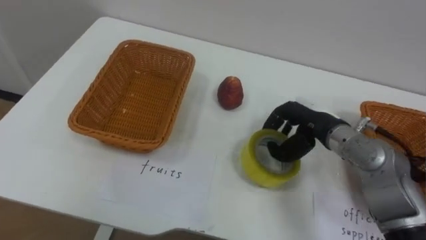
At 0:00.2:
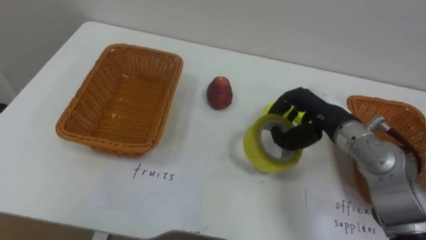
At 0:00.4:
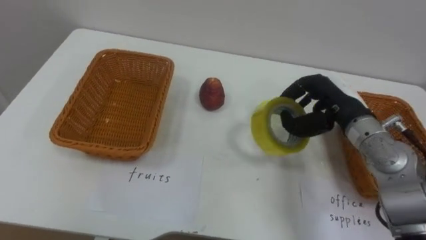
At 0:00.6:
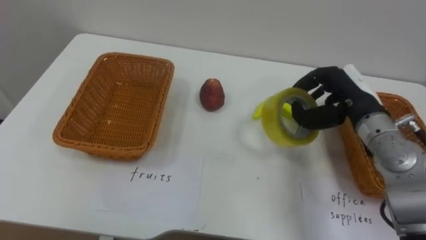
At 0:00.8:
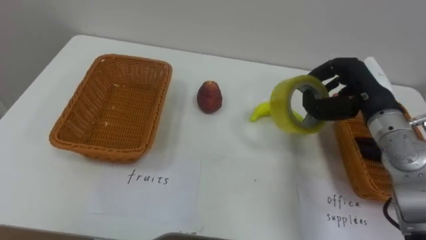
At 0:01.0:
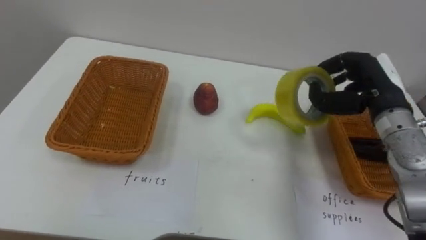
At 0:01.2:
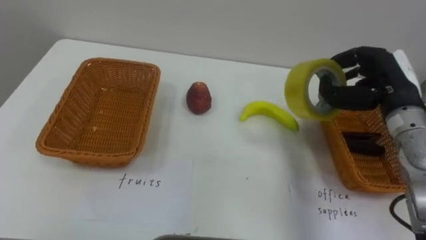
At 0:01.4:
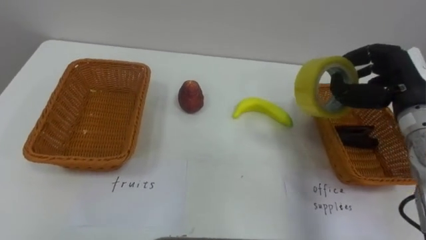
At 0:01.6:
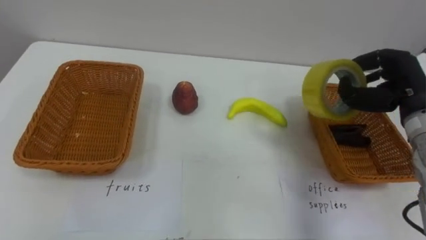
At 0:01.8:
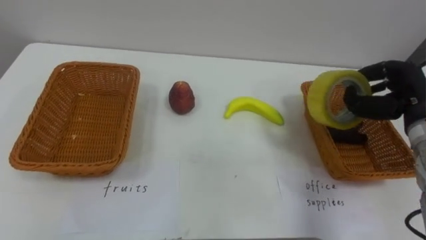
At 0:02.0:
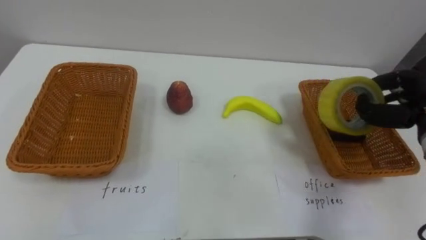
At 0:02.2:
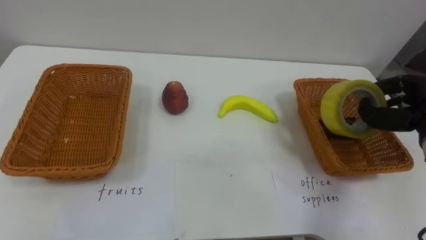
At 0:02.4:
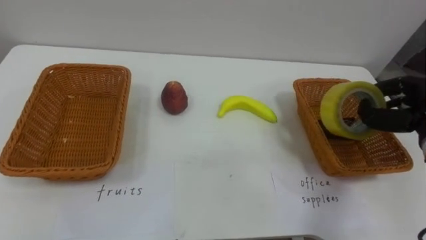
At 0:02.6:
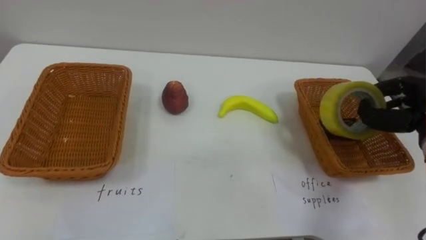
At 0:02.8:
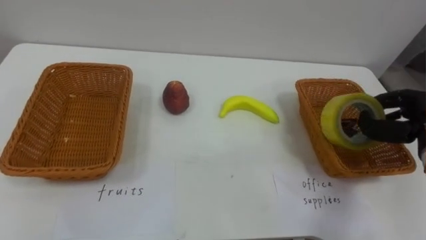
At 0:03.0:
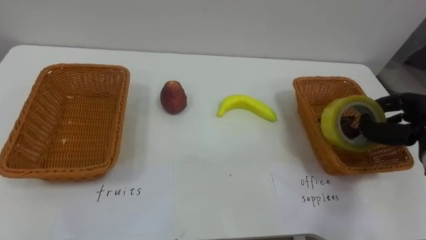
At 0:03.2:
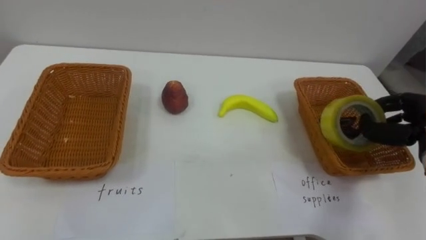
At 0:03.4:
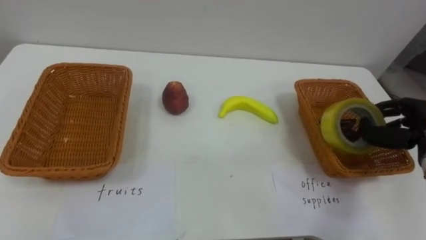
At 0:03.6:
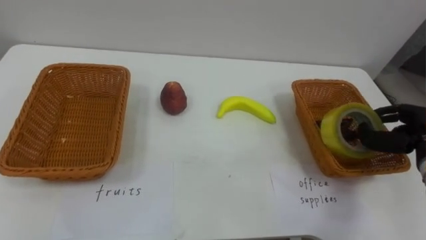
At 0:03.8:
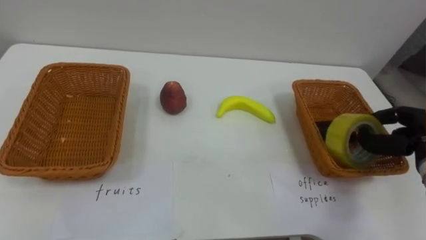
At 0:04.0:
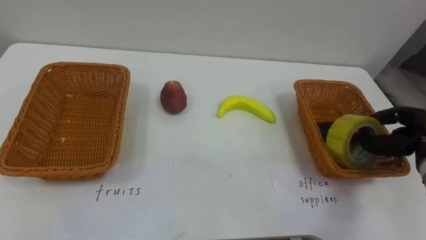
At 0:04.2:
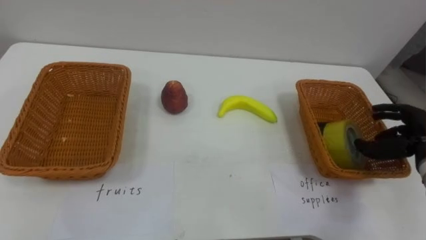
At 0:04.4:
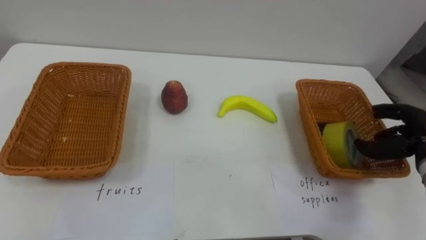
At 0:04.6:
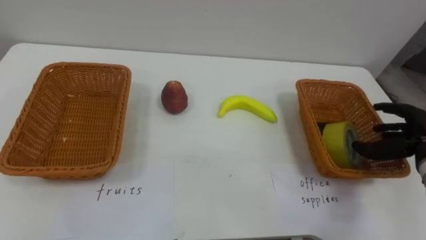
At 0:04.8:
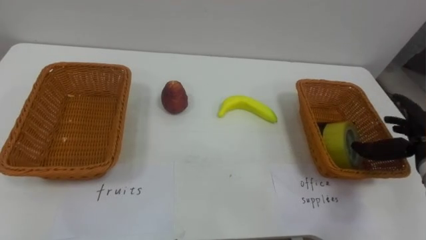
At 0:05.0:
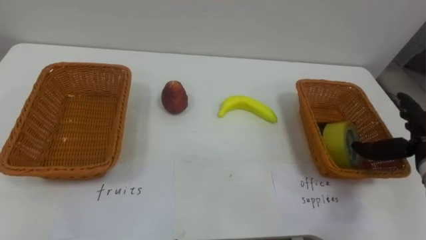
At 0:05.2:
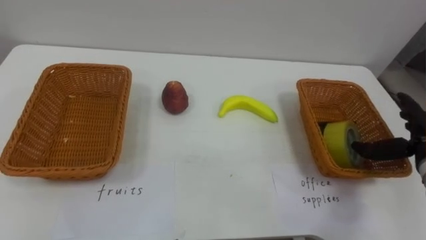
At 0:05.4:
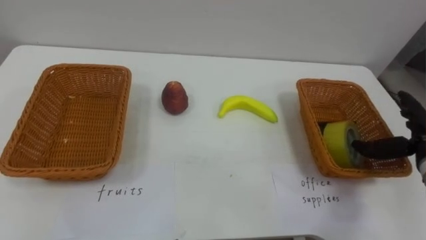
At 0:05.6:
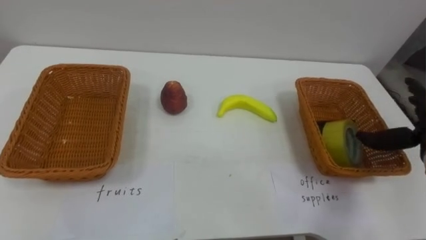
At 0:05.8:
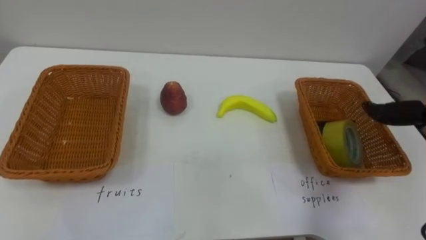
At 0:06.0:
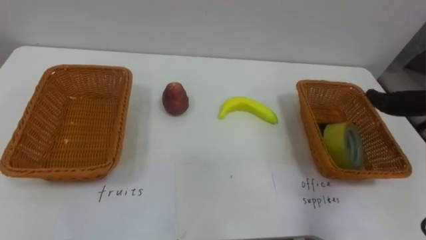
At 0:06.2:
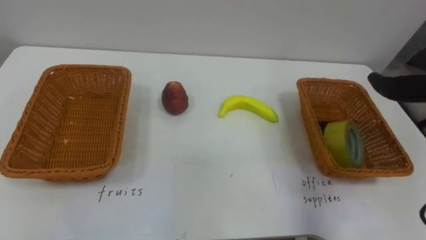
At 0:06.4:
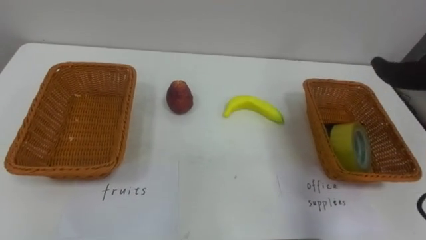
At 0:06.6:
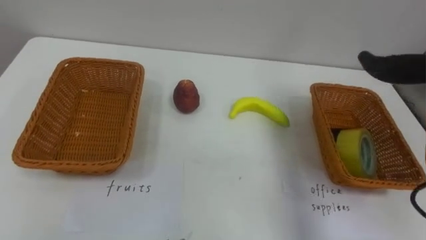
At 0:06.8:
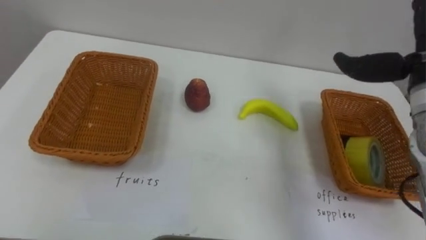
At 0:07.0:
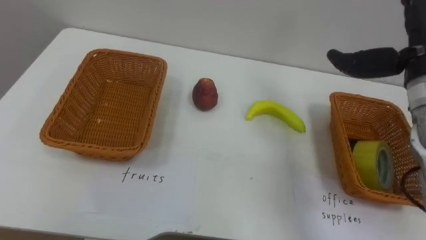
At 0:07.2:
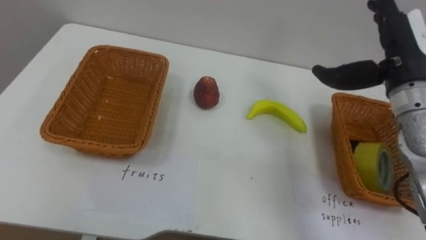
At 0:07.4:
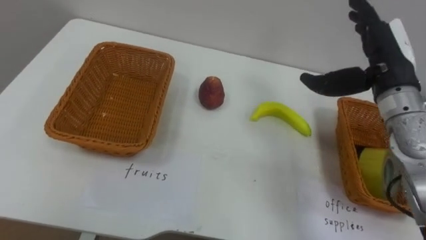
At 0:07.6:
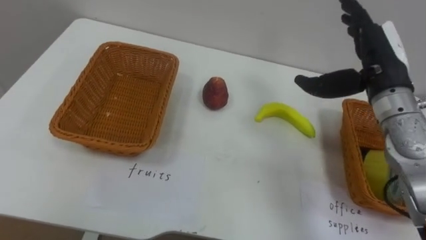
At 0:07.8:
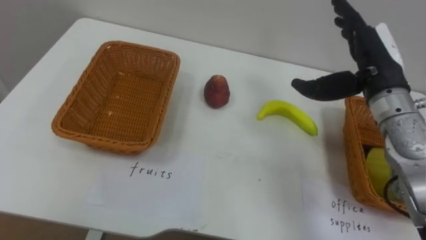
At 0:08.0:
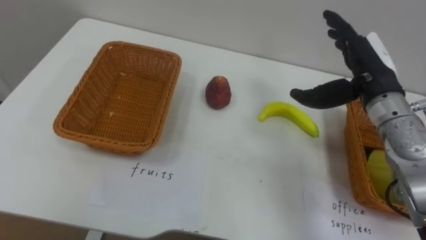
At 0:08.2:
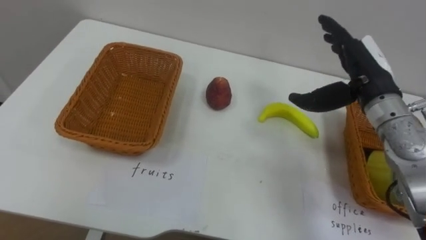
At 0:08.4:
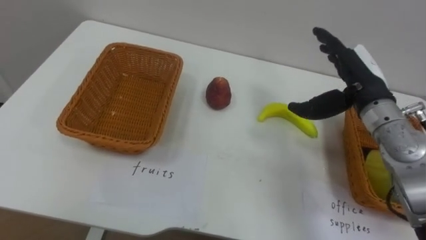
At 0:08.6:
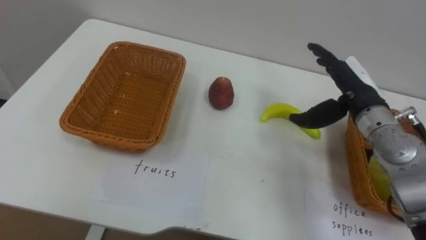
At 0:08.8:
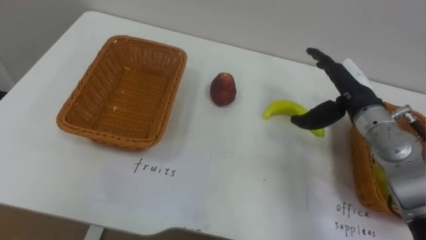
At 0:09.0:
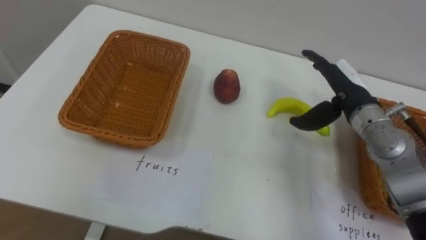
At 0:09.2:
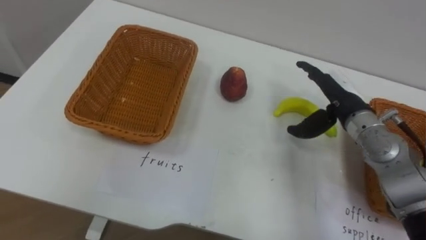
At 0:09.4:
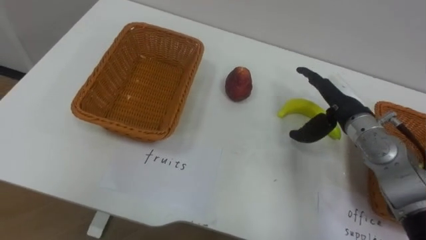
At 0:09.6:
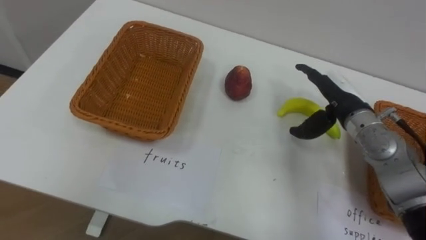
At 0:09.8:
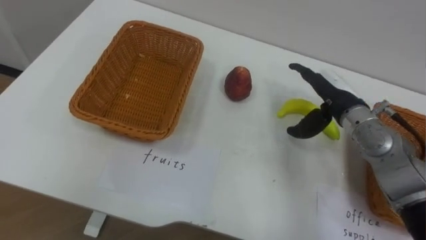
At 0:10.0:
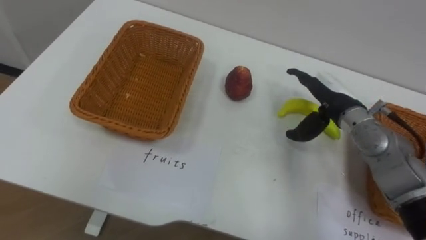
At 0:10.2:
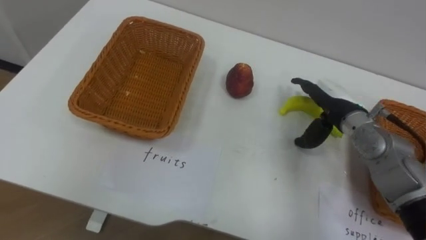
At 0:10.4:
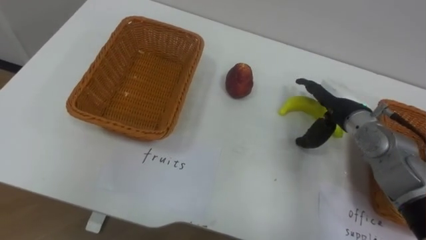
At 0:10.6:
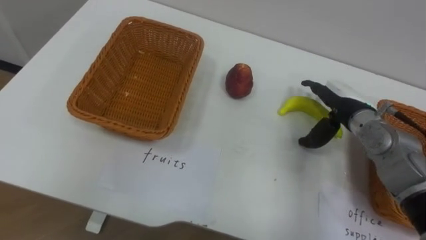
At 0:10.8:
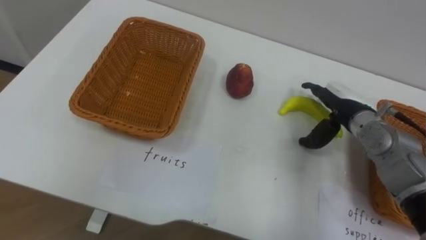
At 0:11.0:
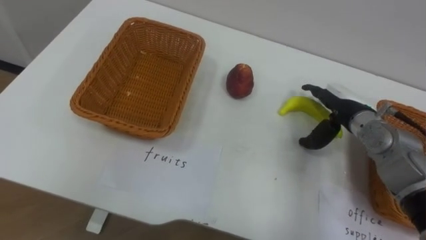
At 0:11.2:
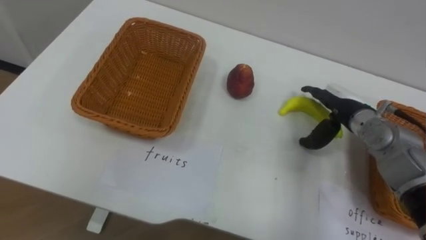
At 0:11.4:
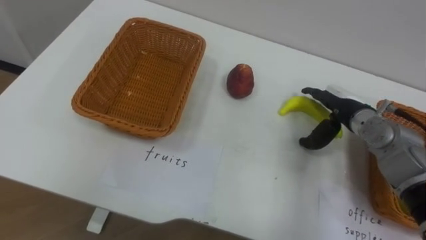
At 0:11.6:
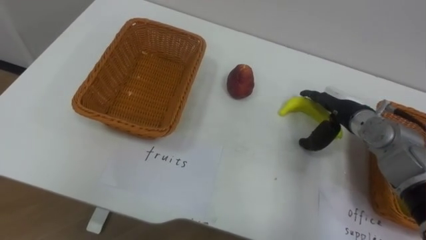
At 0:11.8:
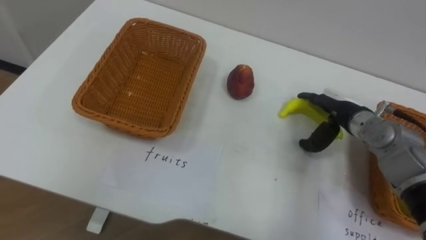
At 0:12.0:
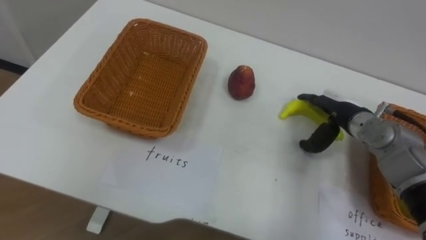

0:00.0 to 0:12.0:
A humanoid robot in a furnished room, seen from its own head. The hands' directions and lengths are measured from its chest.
Task of the whole recording: Separate the items on the table and place them into the two baskets.
0:00.0 to 0:01.6: The right hand heads to the right and upward, covering roughly 15 cm.
0:07.6 to 0:09.0: The right hand is displaced downward by some 5 cm.

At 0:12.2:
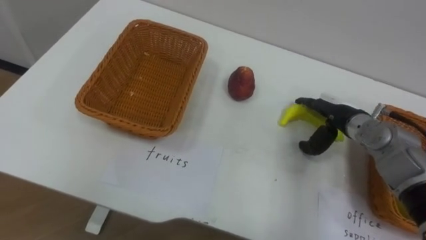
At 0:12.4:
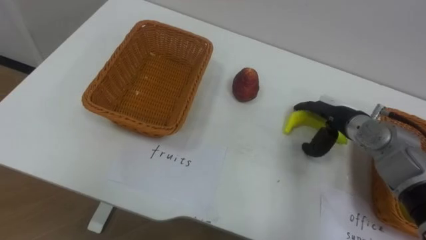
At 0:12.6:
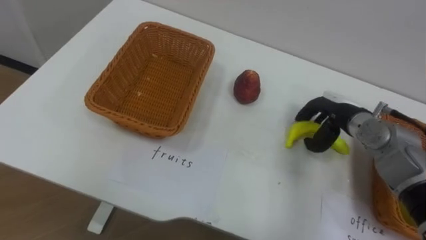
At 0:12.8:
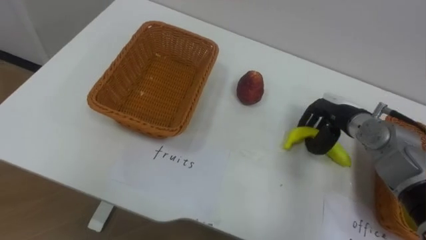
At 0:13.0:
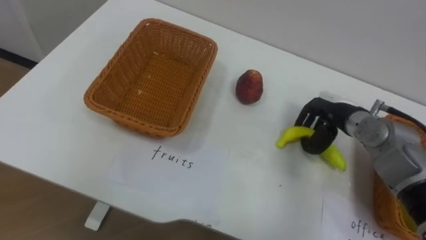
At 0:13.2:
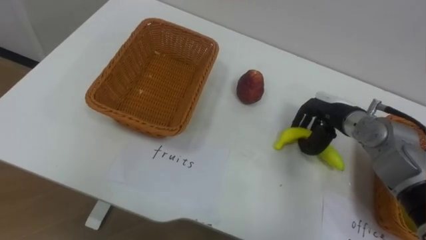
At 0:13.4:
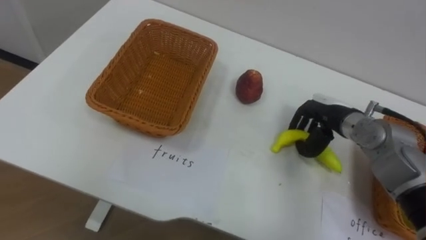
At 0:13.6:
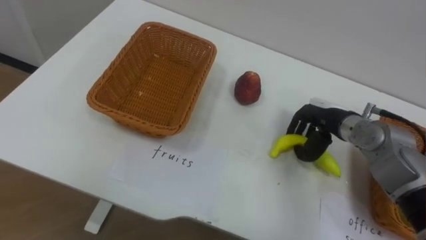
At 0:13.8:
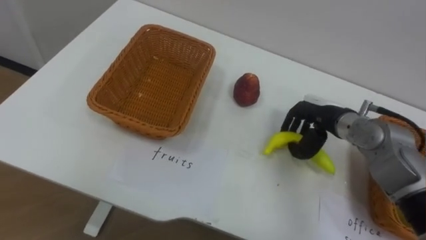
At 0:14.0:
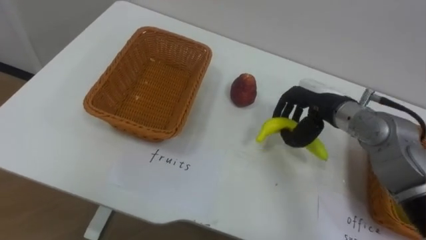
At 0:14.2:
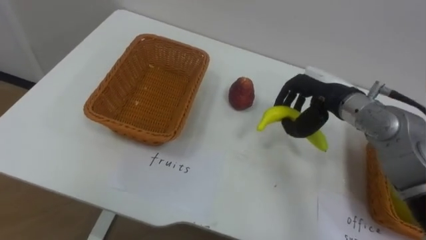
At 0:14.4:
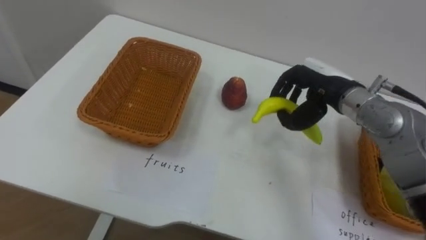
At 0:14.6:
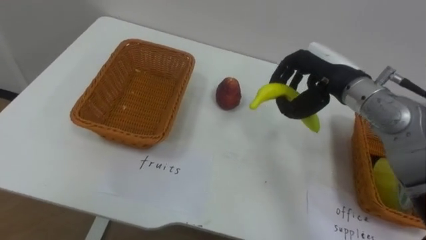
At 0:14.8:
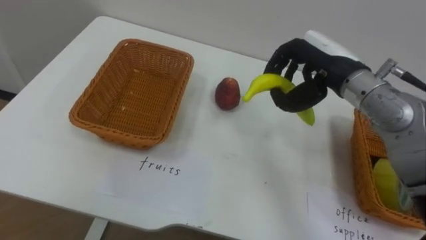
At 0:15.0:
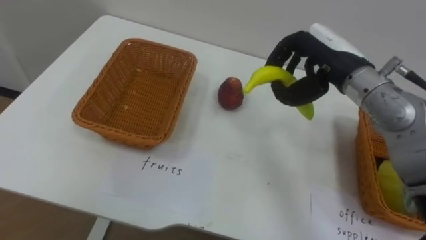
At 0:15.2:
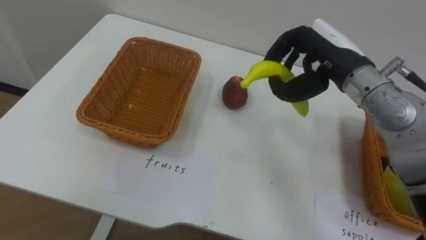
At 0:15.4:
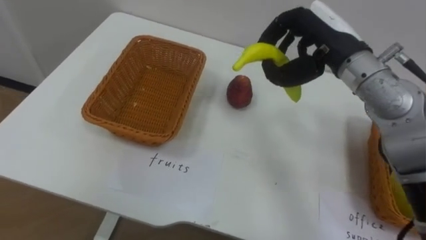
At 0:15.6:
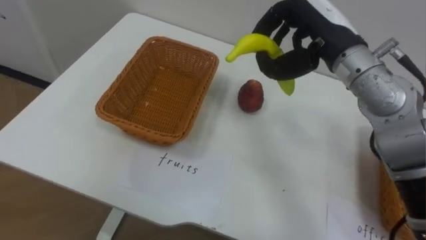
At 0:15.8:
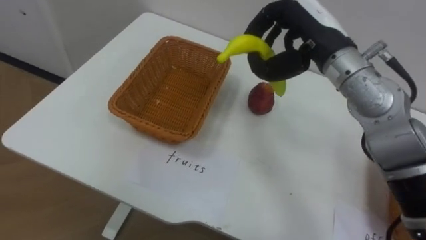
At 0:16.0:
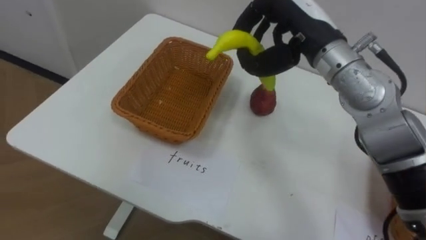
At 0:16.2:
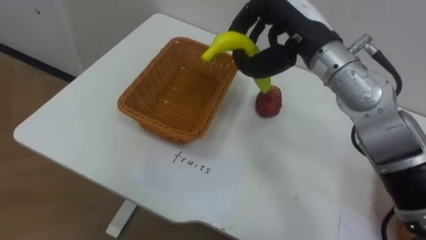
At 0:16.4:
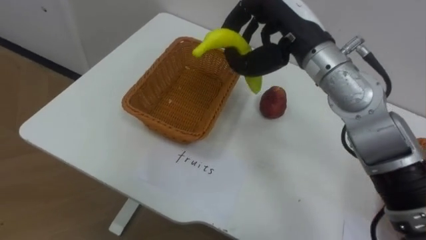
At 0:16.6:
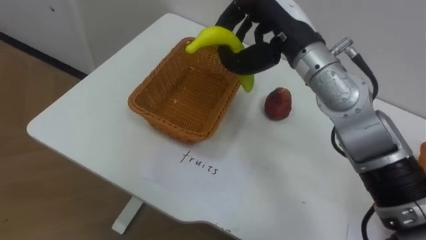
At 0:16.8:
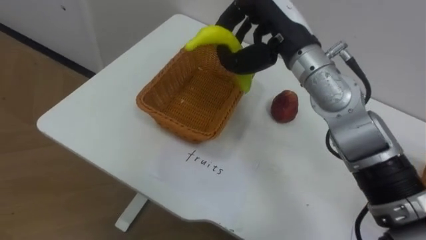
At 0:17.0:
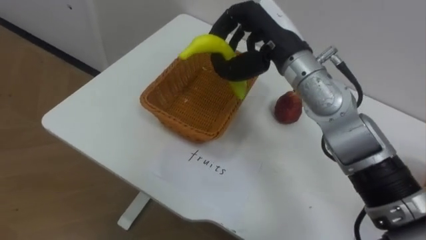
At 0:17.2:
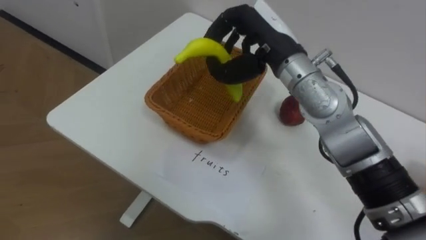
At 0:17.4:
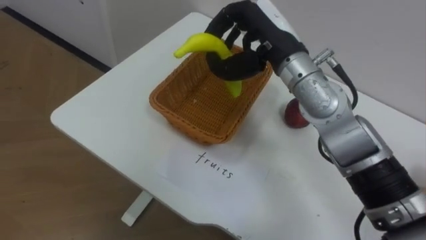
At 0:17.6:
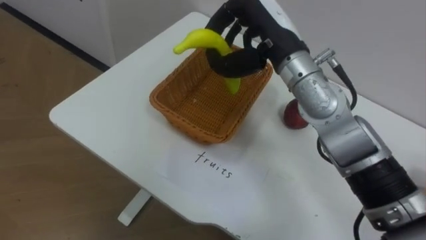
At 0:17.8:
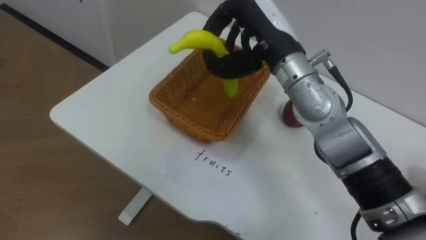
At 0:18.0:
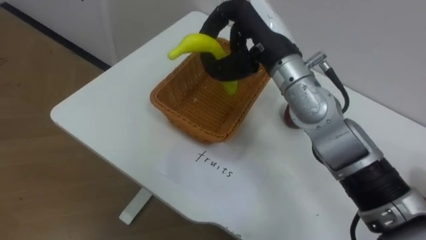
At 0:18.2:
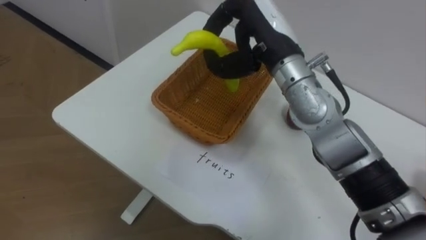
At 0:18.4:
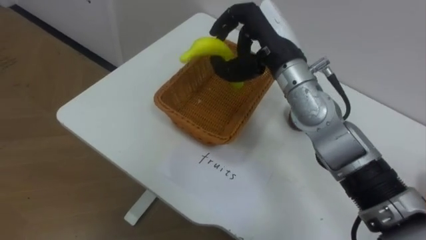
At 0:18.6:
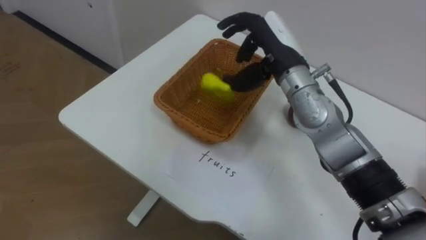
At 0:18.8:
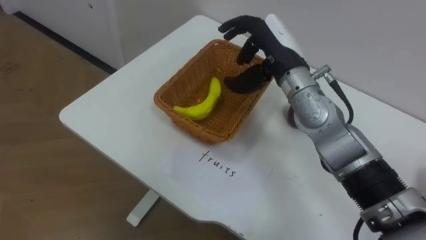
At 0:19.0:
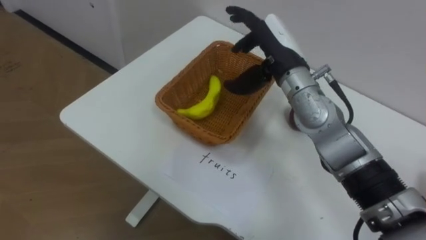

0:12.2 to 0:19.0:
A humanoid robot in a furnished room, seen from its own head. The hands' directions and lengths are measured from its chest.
Task of the whole recording: Separate the items on the table and place them into the two baskets.
0:12.2 to 0:13.6: The right hand closes up.
0:13.6 to 0:15.0: The right hand shifts about 15 cm upward.
0:15.0 to 0:16.2: The right hand travels to the left by some 5 cm.
0:17.6 to 0:19.0: The right hand opens up.
